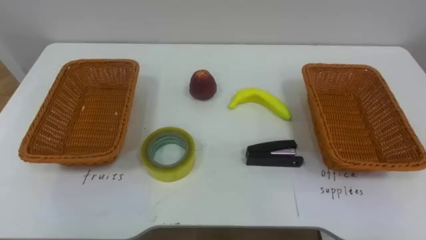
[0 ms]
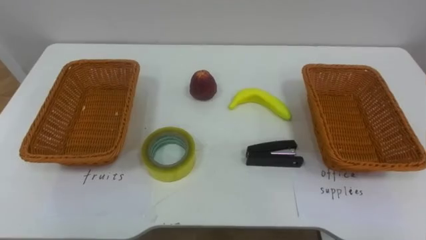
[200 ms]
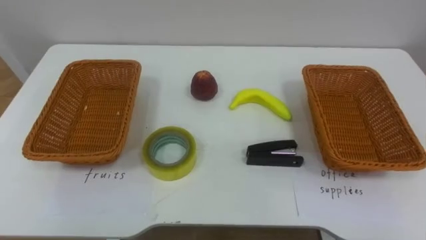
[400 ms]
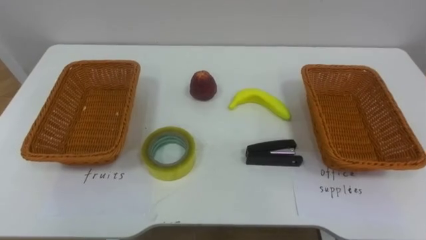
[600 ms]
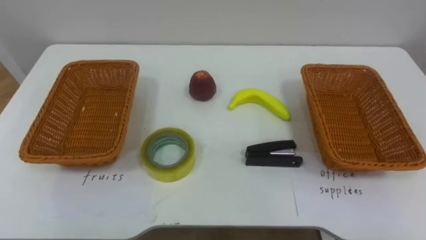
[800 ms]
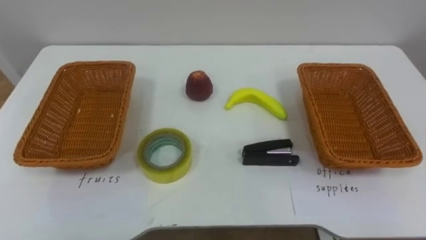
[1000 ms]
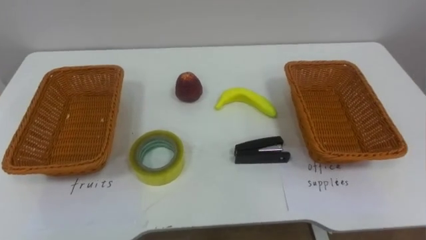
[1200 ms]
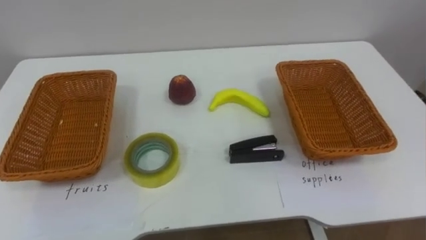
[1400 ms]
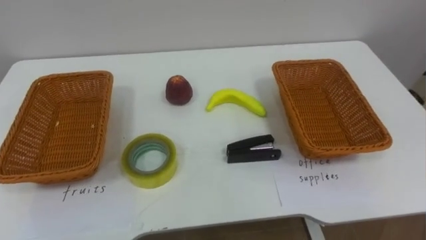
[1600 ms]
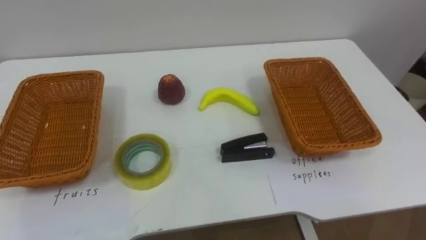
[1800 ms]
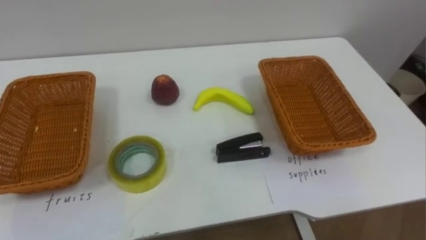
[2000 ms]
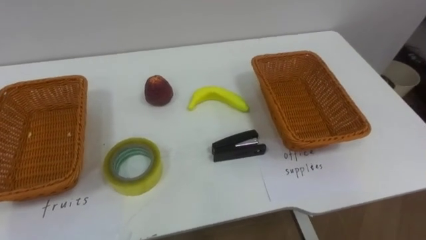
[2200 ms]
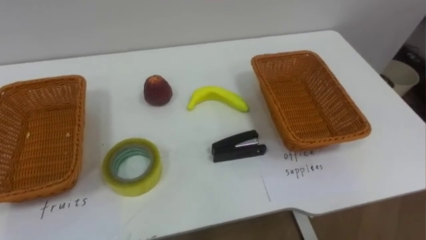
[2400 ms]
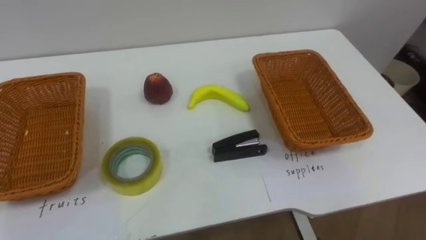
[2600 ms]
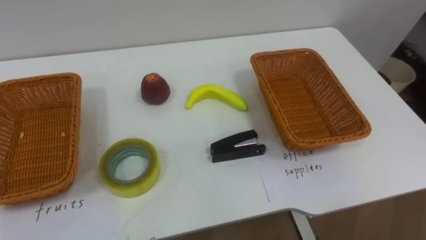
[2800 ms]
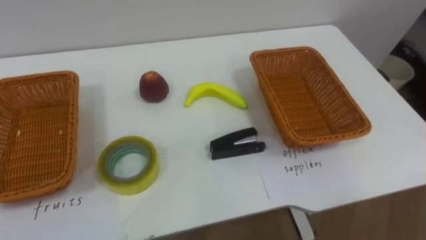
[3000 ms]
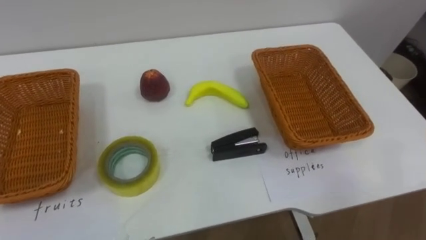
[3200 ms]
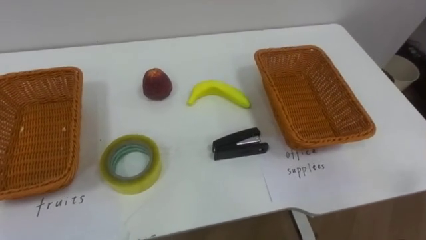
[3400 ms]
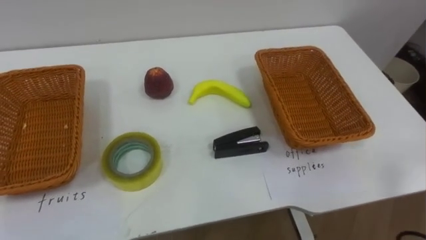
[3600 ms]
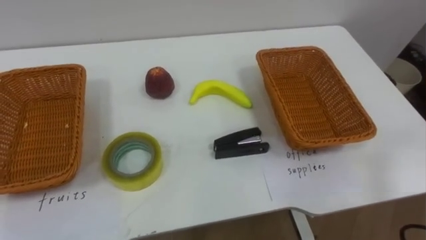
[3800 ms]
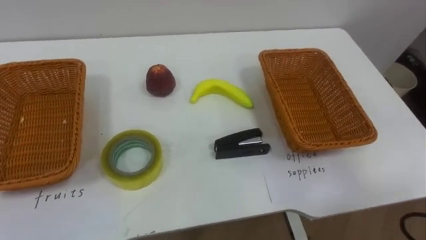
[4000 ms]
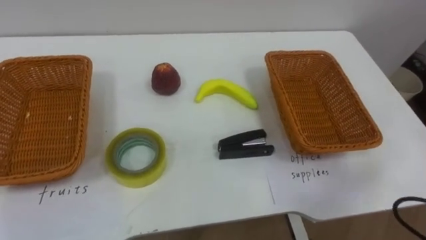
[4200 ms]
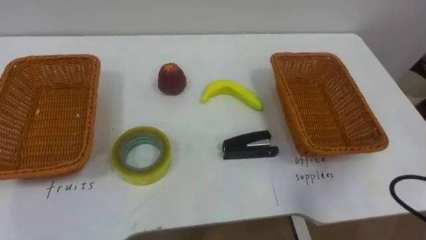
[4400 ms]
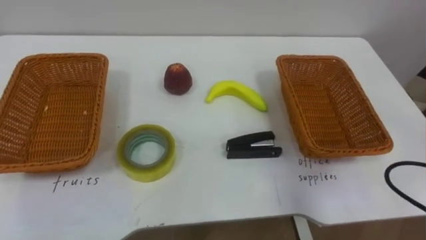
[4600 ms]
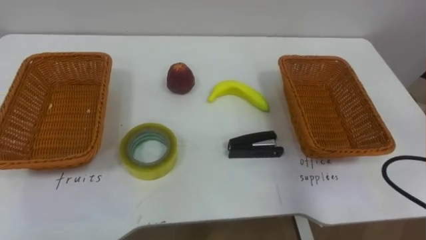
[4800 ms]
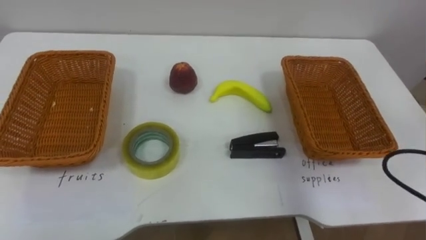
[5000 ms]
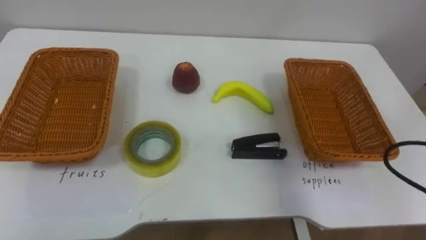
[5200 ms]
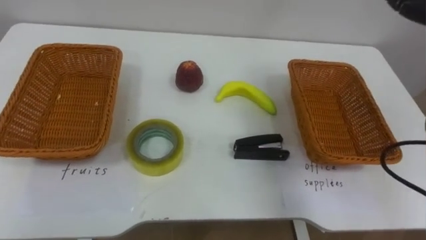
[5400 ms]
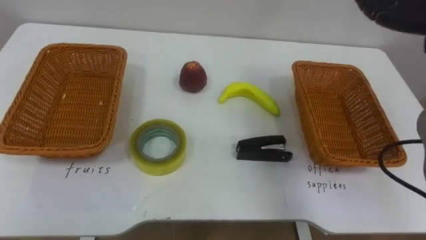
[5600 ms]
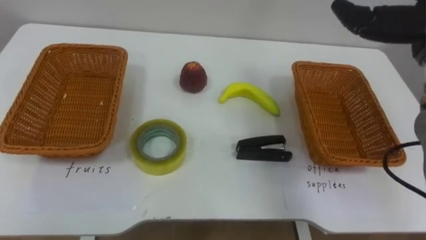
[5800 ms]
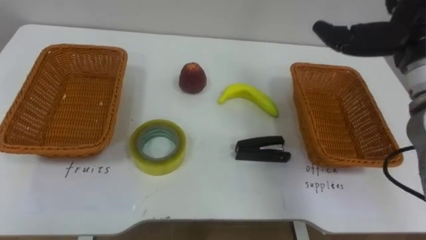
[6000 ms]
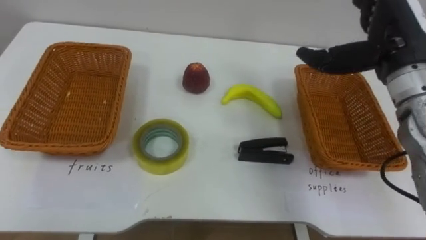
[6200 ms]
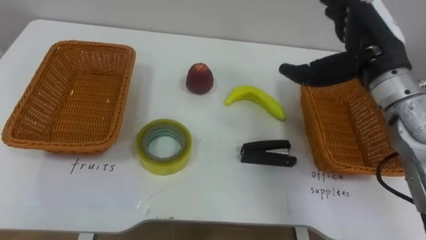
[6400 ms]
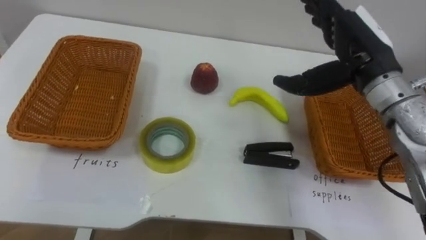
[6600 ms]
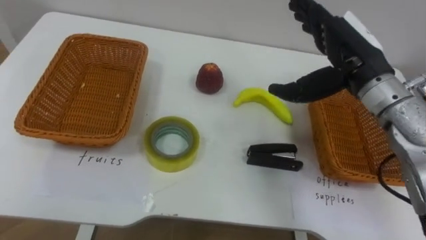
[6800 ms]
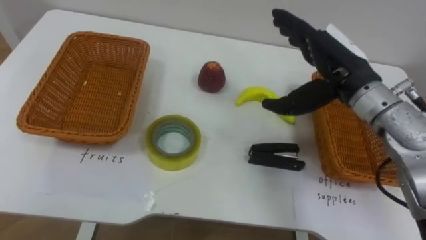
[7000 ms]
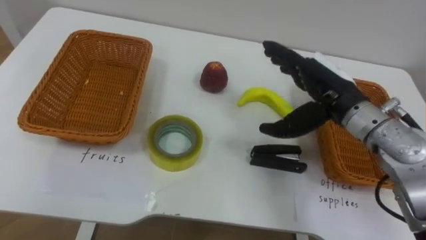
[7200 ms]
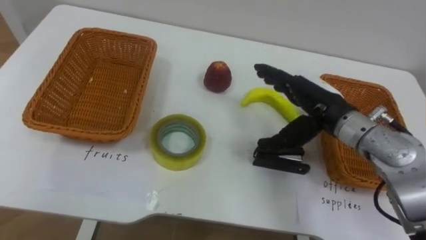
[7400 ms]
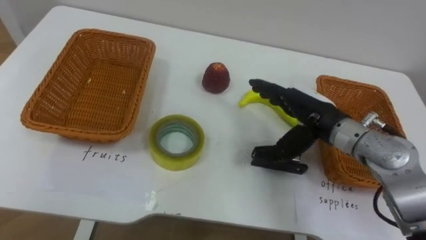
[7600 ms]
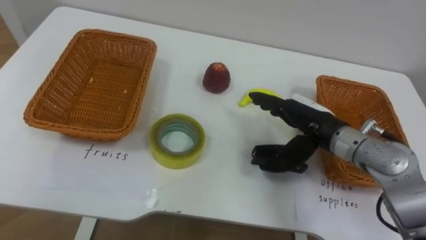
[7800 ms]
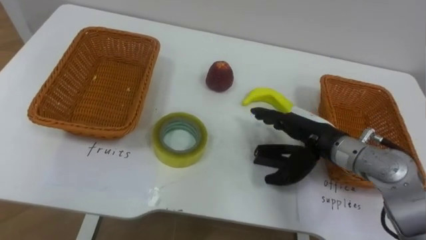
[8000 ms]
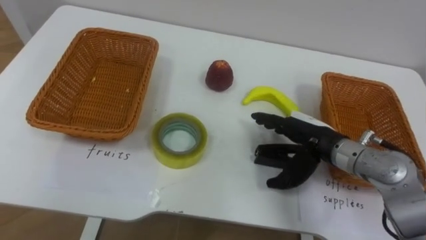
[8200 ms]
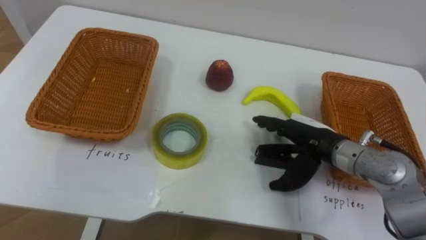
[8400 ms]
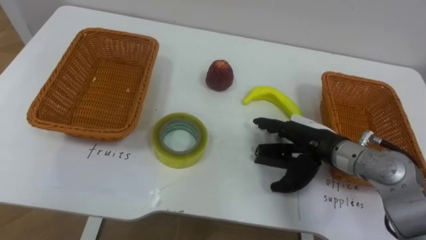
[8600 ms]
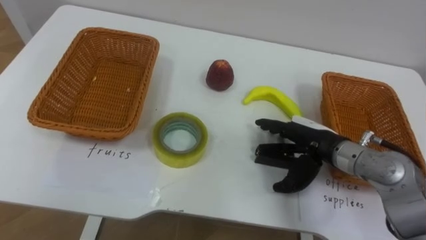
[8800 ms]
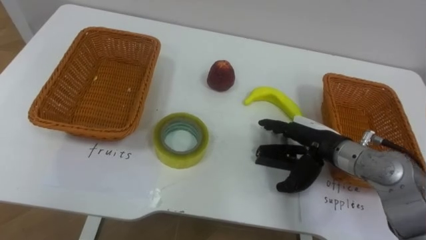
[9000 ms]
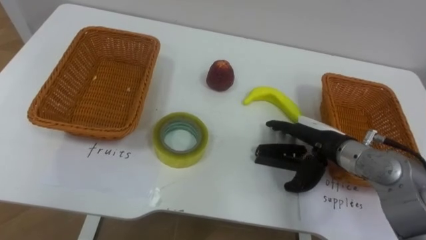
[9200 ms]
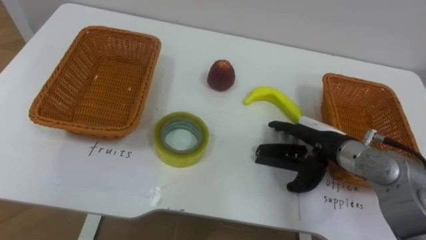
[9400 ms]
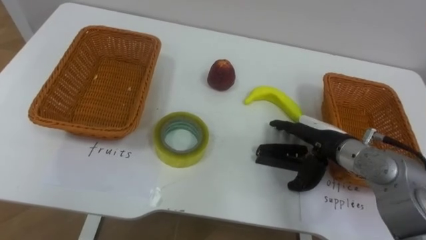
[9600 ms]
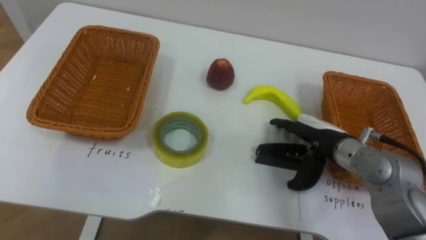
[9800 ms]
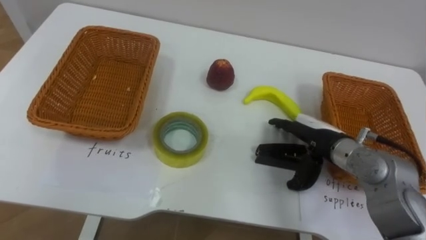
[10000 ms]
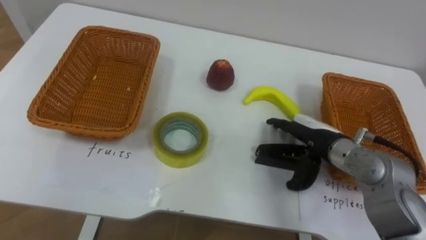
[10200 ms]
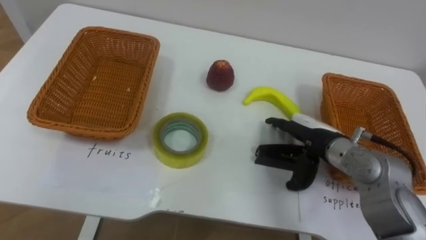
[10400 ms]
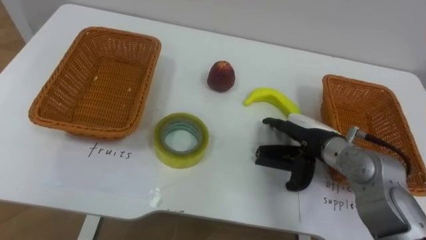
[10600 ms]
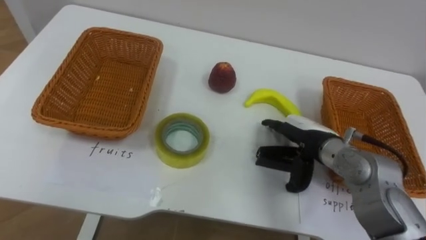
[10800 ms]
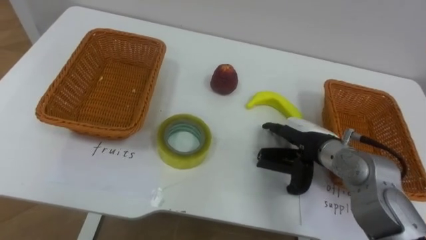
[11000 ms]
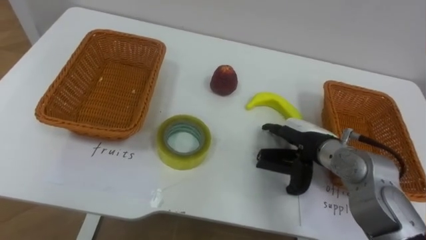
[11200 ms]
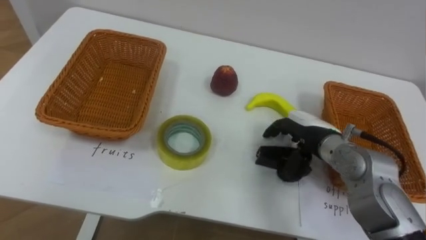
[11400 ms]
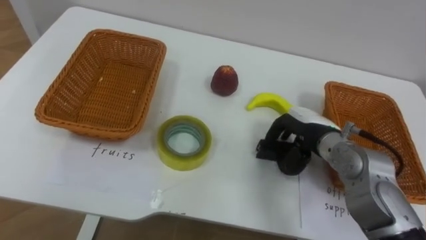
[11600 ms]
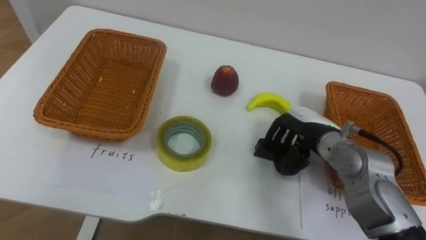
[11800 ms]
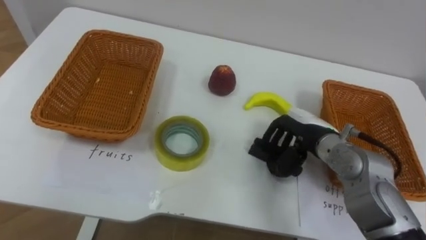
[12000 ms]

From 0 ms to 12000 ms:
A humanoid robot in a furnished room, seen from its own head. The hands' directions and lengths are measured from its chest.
Task of the whole recording: Separate the items on the table and place them into the two baskets.
From 6000 ms to 7600 ms: The right hand is displaced downward and to the left by some 20 cm.
From 7600 ms to 9000 ms: The right hand moves downward, some 5 cm.
From 10400 ms to 12000 ms: The right hand closes.

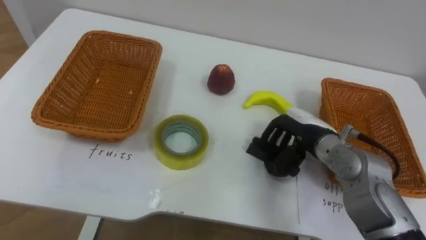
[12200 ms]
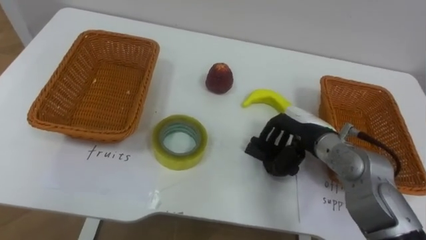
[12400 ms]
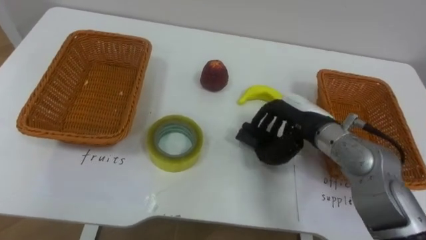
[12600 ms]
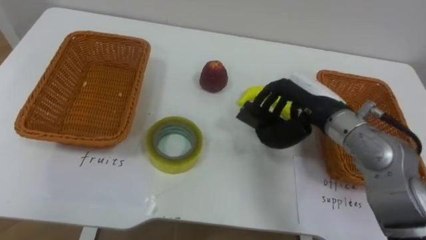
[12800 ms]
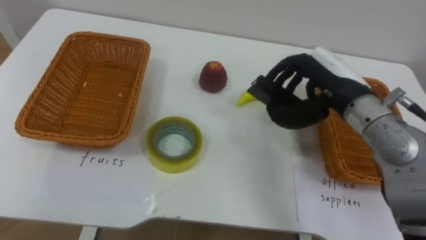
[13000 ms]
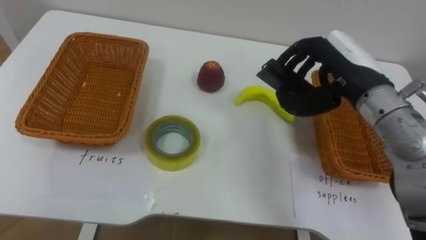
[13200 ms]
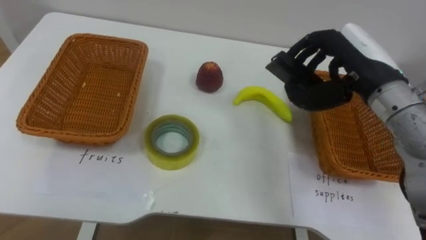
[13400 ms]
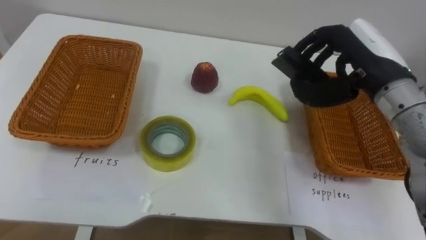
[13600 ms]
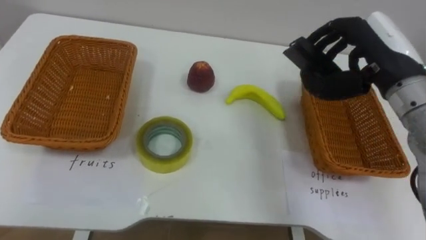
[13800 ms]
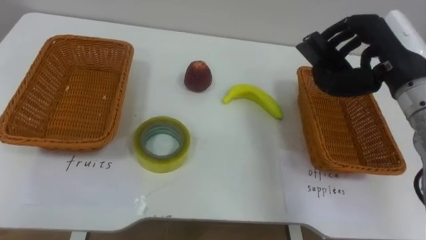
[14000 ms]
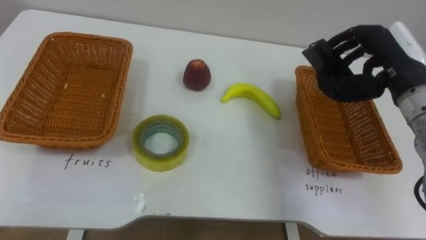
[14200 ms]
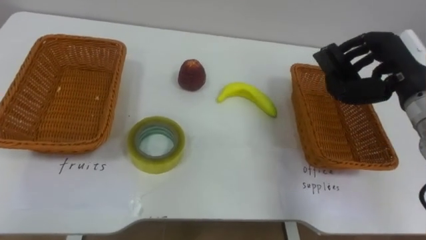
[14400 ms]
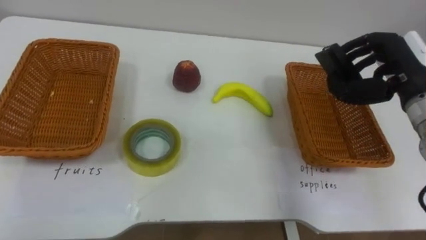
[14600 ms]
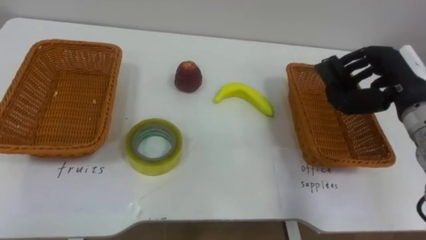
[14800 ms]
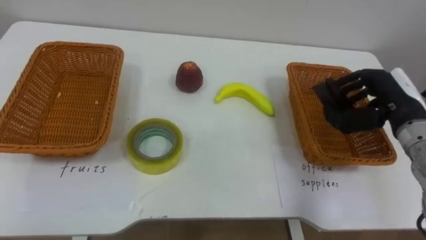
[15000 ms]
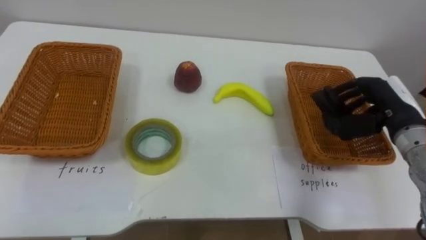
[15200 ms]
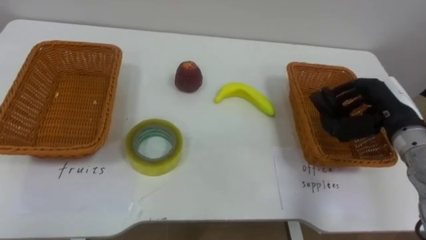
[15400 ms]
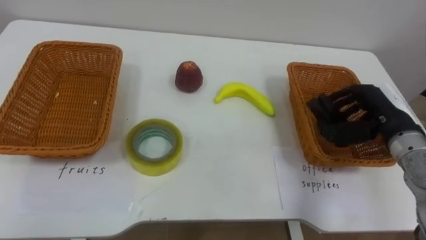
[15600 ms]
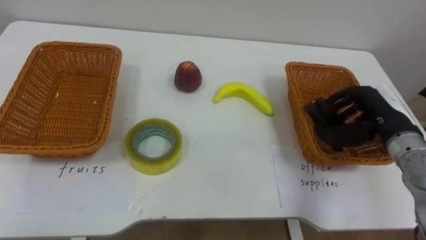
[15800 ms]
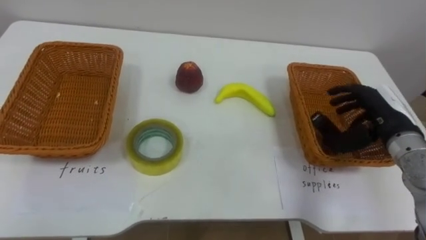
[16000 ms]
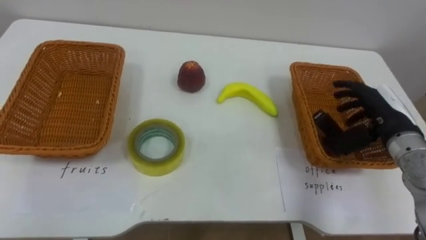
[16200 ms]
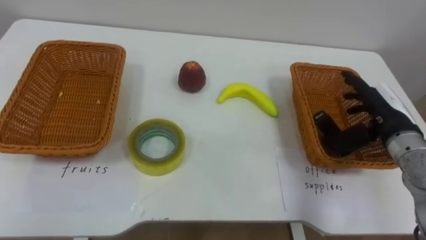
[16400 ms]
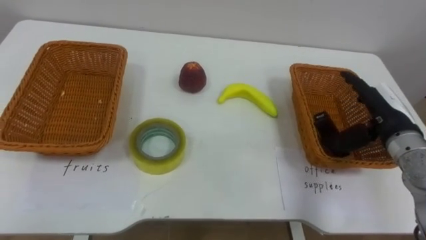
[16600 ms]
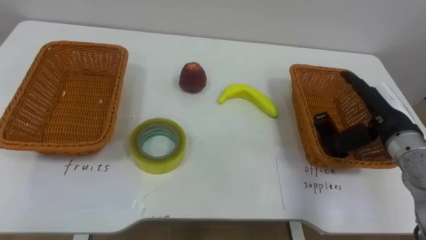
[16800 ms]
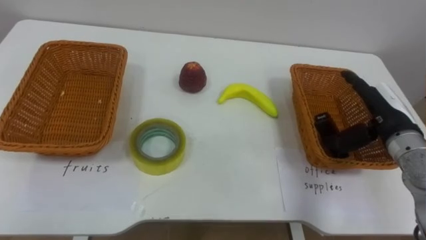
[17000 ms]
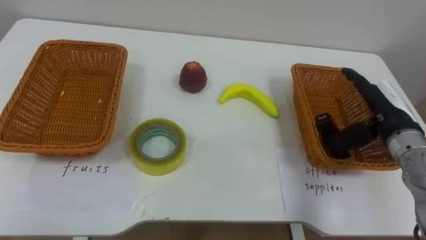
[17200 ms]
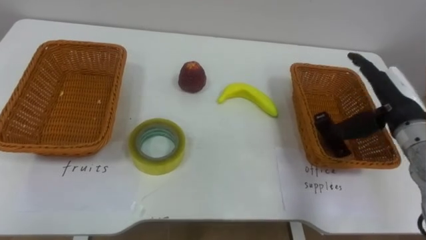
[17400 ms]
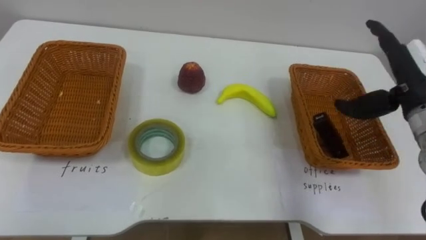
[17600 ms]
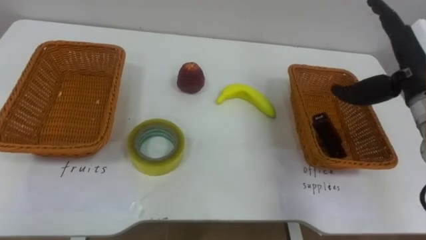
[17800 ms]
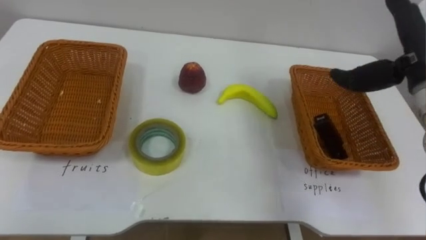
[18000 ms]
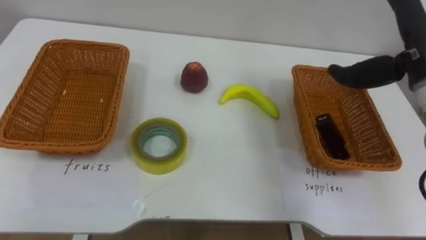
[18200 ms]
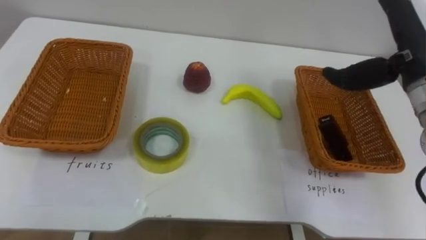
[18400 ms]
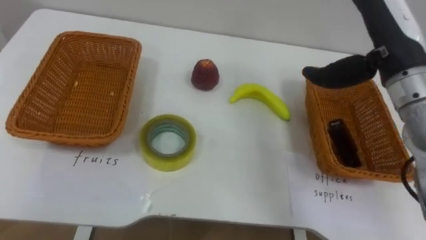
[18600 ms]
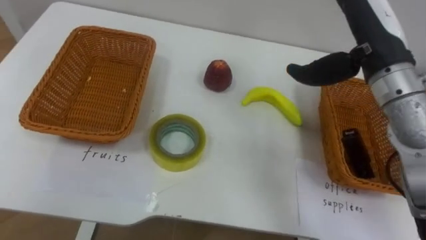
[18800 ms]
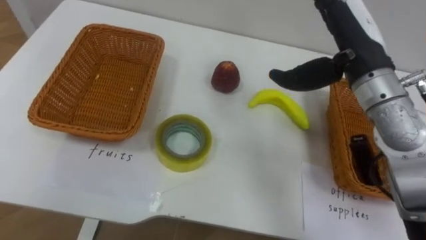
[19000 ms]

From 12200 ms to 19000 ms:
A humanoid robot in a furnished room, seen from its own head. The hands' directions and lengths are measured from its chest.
Task of the whole recording: Separate the items on the table and place them into the two baskets.
From 12200 ms to 13600 ms: The right hand travels upward by some 15 cm.
From 13600 ms to 15000 ms: The right hand goes roughly 10 cm to the right and downward.
From 15000 ms to 16200 ms: The right hand opens up.
From 16200 ms to 17600 ms: The right hand shifts some 10 cm upward.
From 17600 ms to 19000 ms: The right hand goes some 15 cm to the left and upward.
